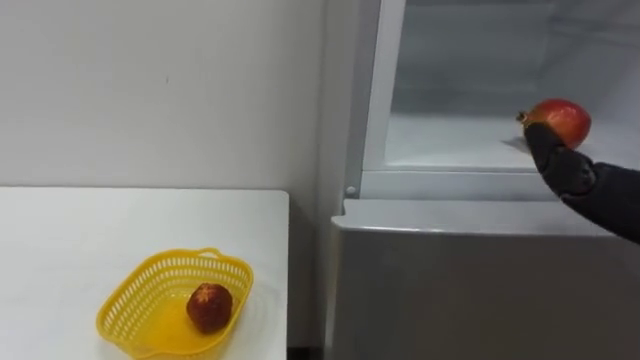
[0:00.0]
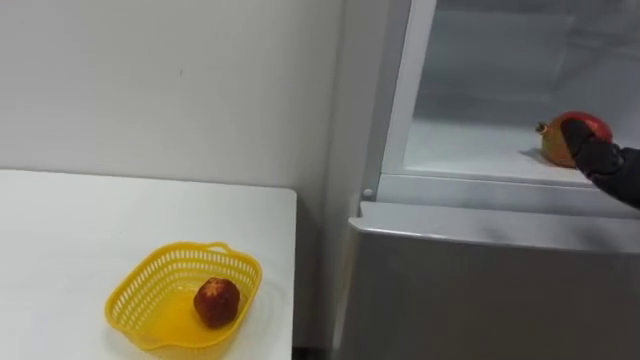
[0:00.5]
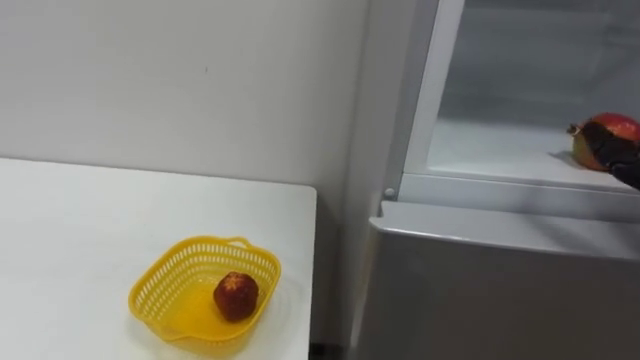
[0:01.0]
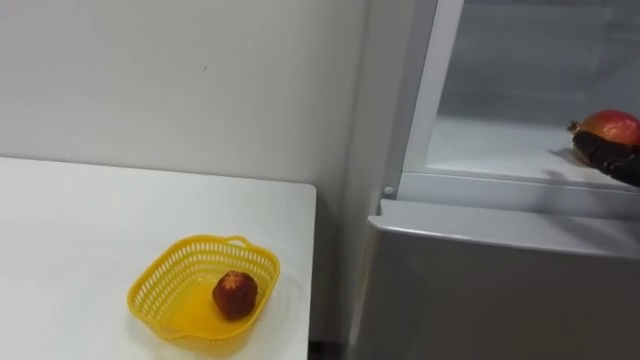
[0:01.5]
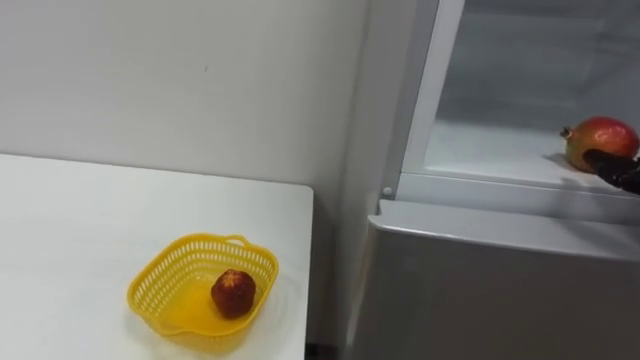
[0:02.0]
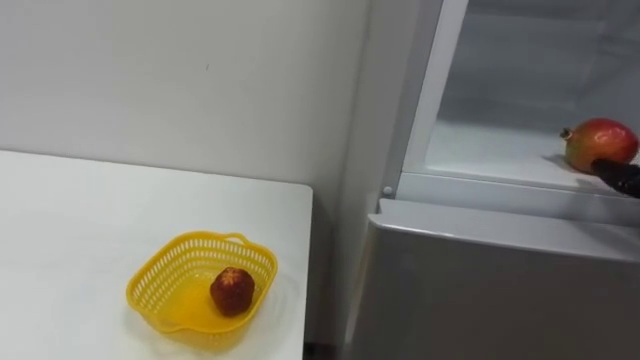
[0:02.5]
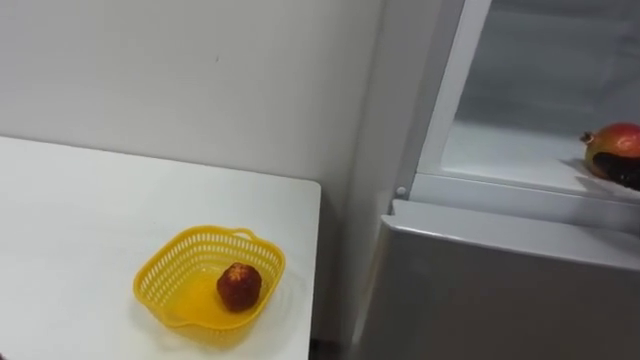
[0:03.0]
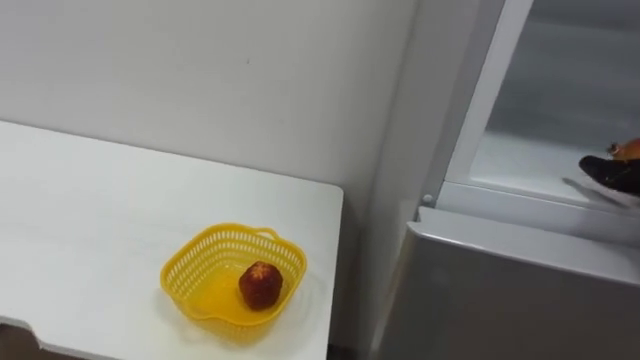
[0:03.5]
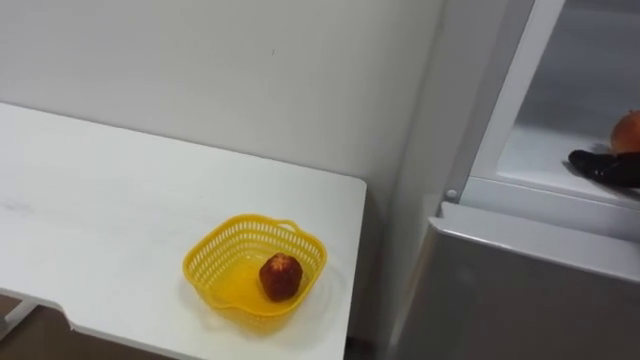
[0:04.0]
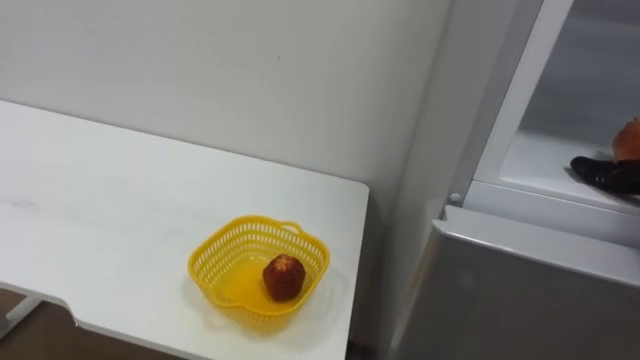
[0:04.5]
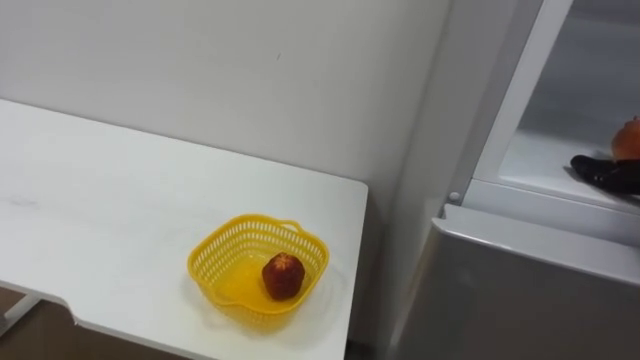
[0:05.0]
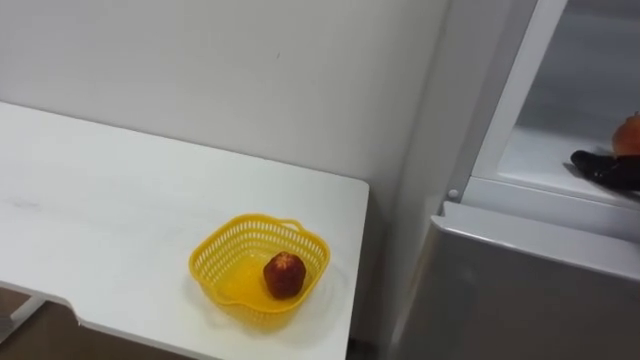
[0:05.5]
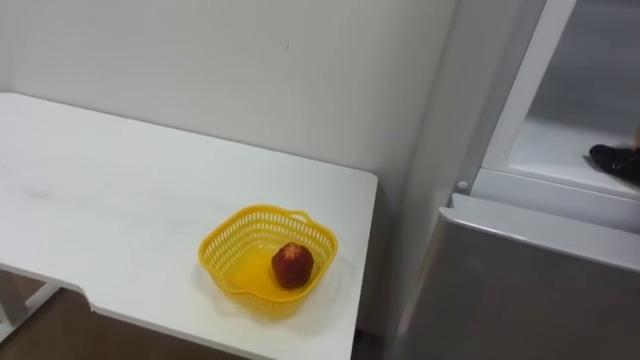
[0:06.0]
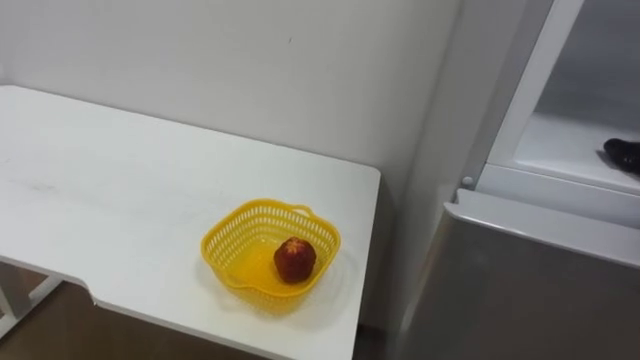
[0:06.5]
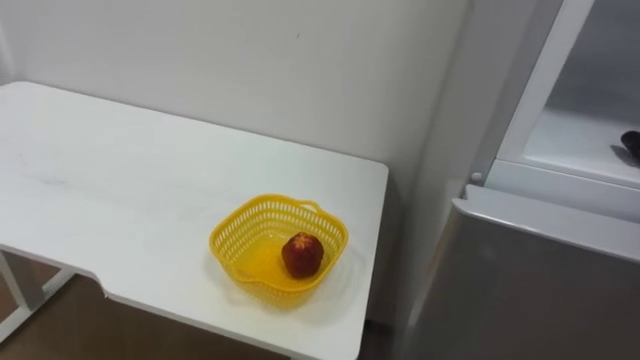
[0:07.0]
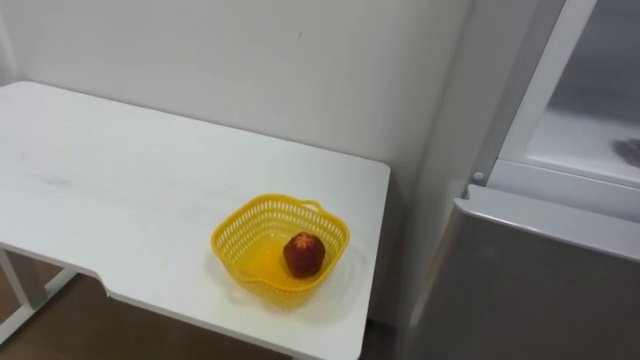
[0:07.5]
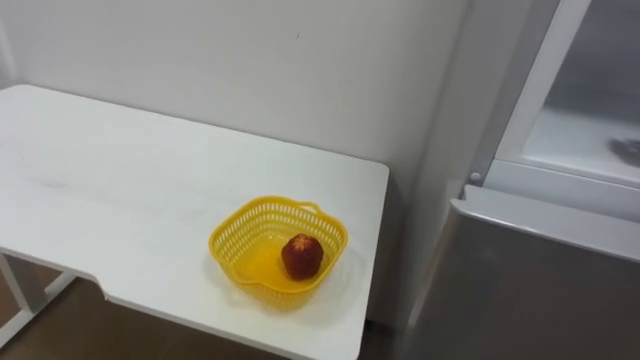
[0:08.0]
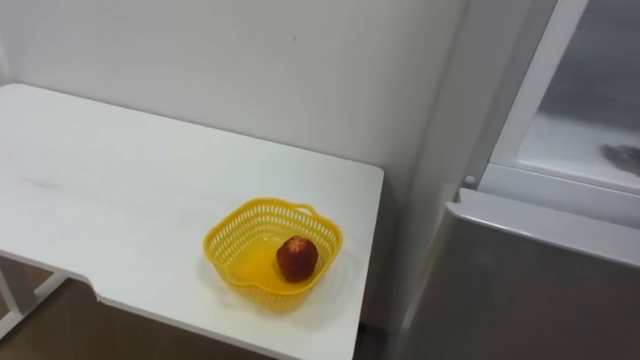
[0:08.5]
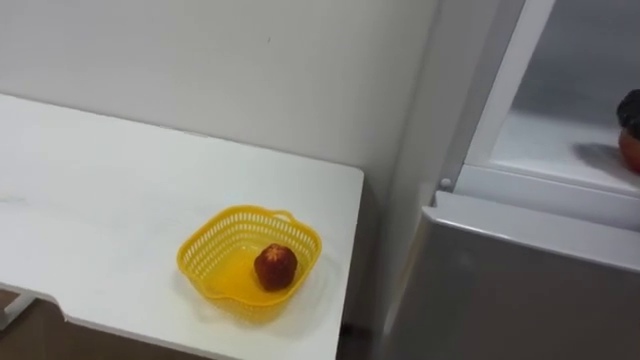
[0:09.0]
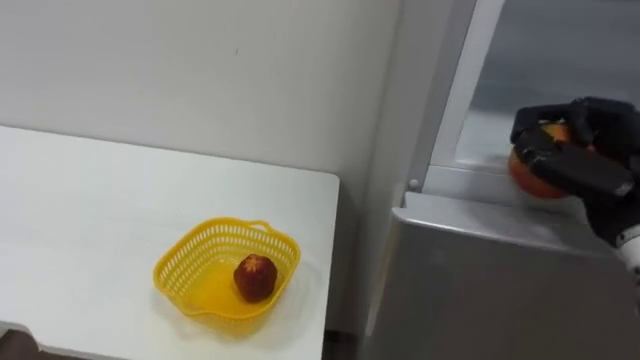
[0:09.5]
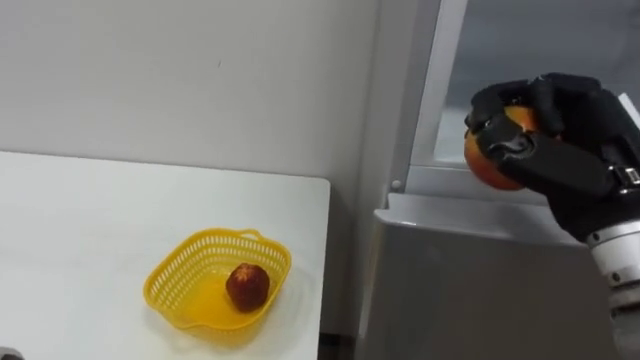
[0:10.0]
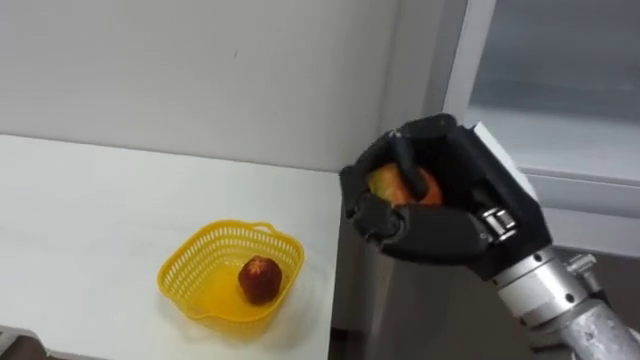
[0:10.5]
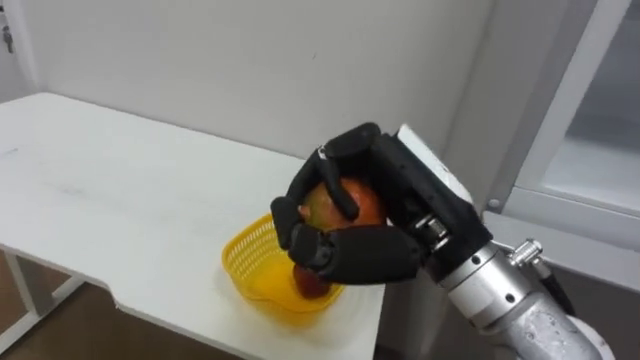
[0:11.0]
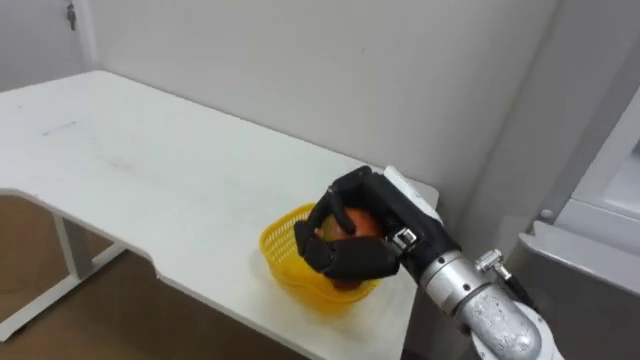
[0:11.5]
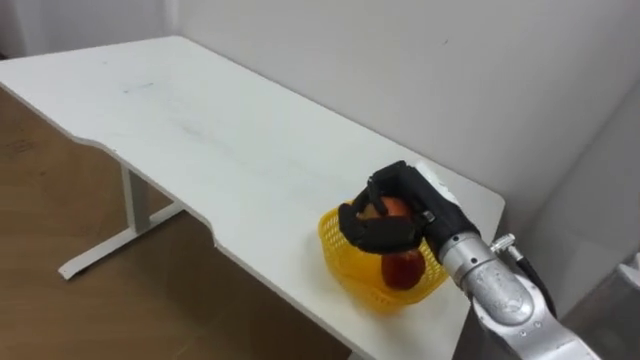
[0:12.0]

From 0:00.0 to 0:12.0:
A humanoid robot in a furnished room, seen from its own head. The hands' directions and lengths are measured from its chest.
Task of the whole recording: Open the refrigerator door, take out the apple and the pomegranate, place them in the fruit basket on the left, and close the refrigerator door.
From 0:10.0 to 0:12.0: The right hand goes approximately 15 cm to the left, downward and forward.

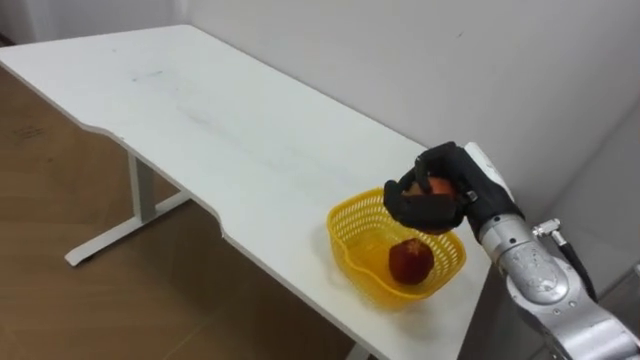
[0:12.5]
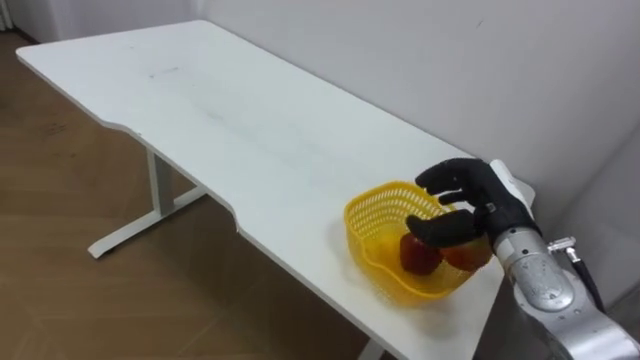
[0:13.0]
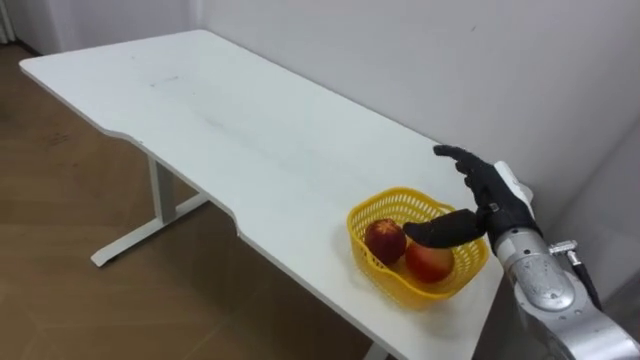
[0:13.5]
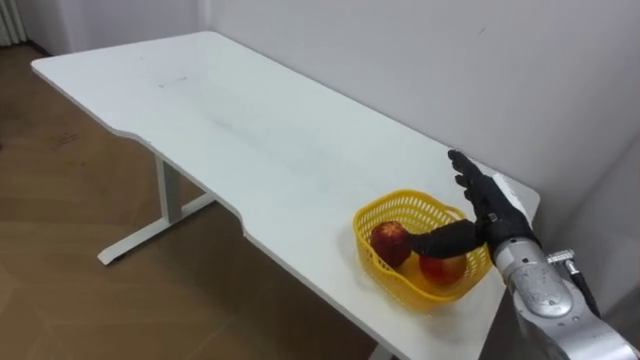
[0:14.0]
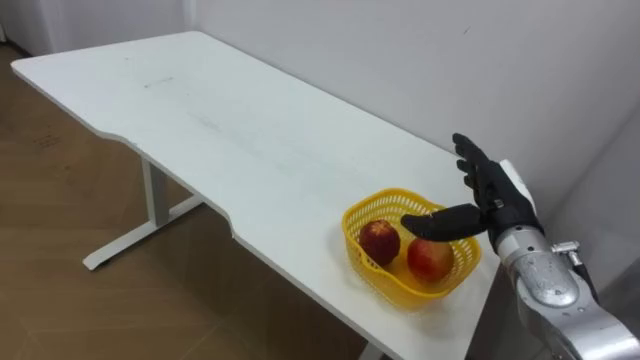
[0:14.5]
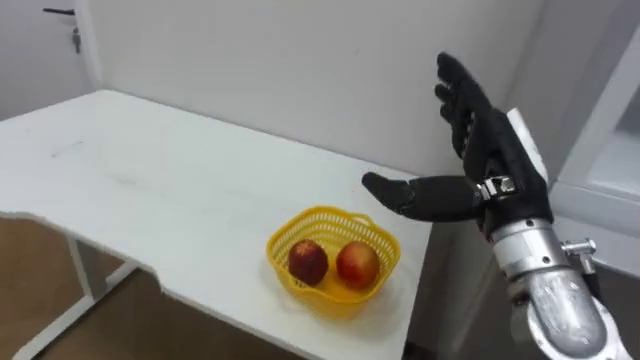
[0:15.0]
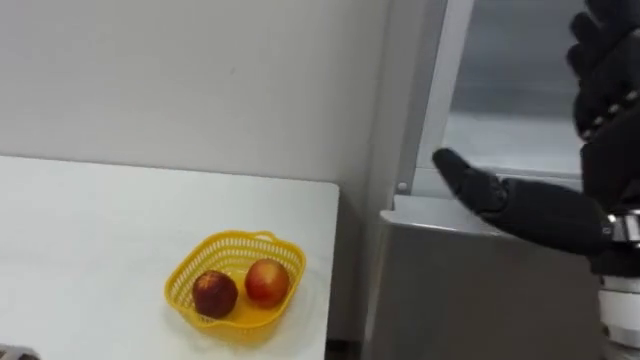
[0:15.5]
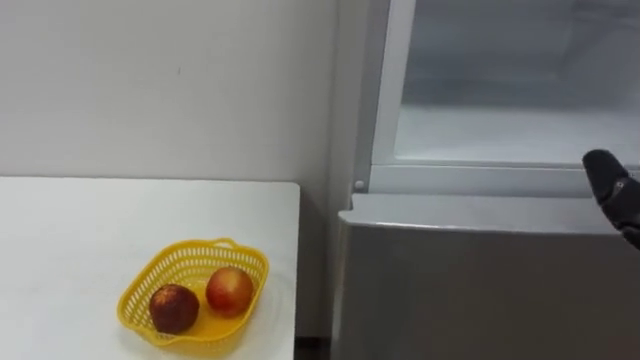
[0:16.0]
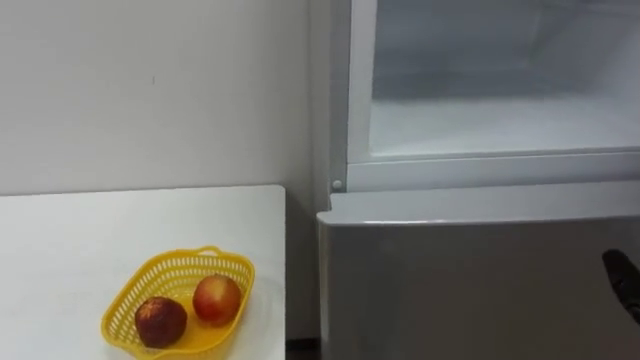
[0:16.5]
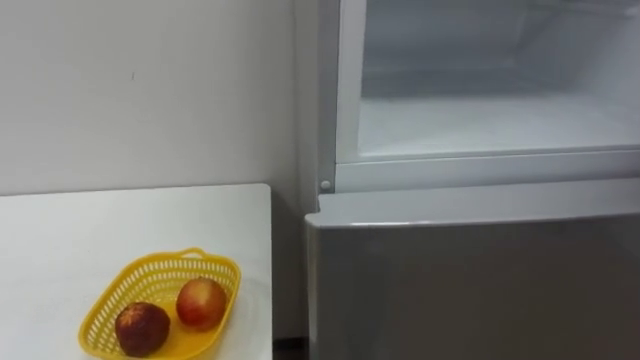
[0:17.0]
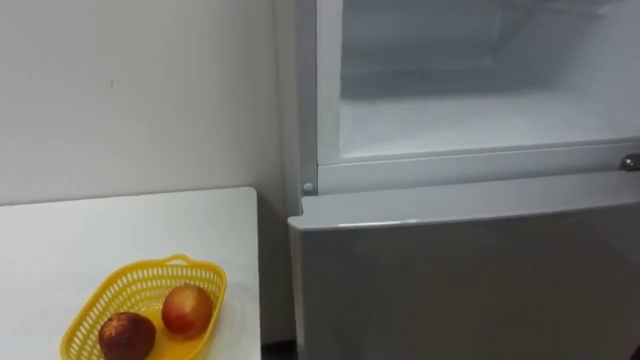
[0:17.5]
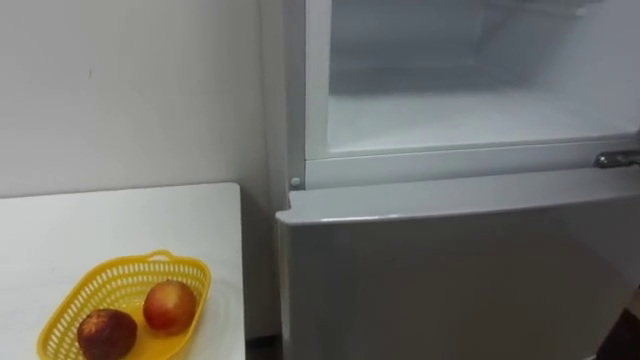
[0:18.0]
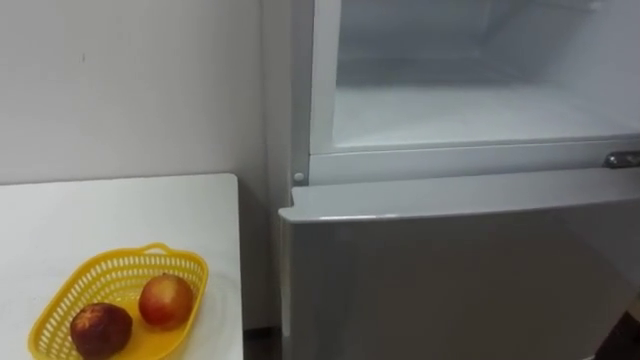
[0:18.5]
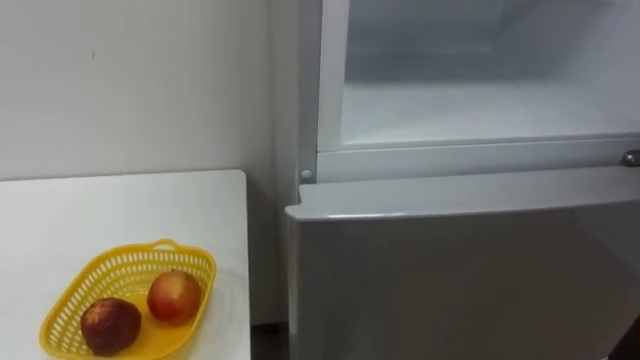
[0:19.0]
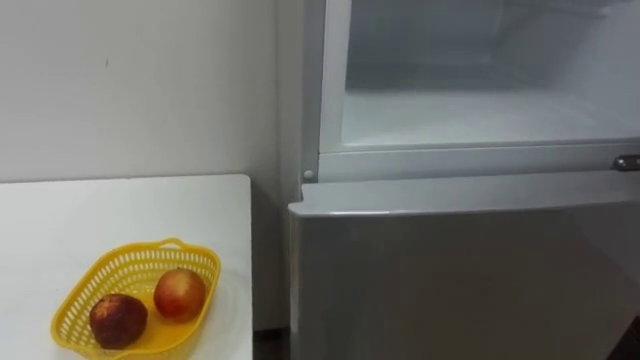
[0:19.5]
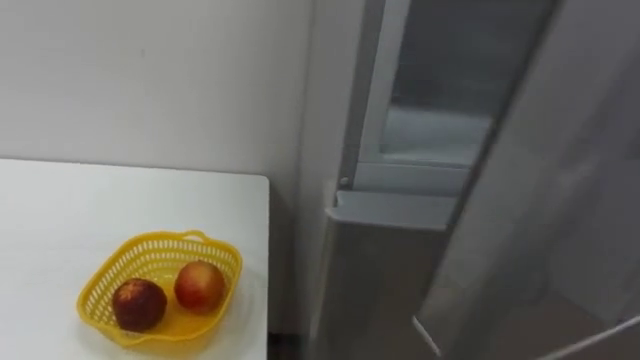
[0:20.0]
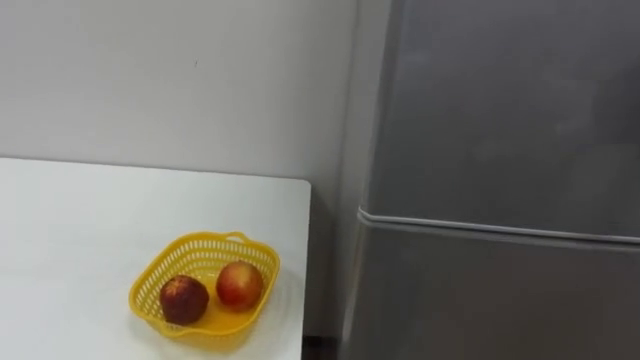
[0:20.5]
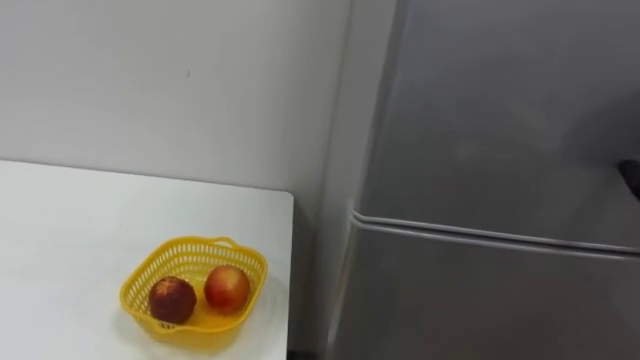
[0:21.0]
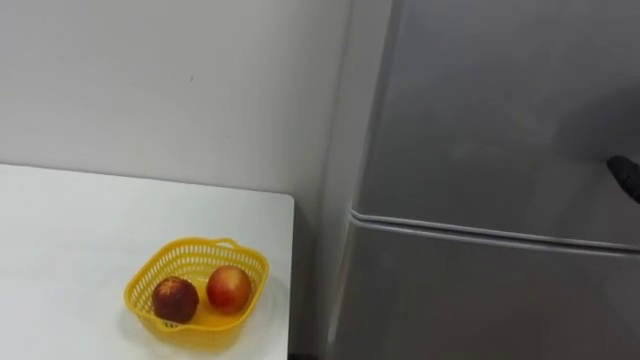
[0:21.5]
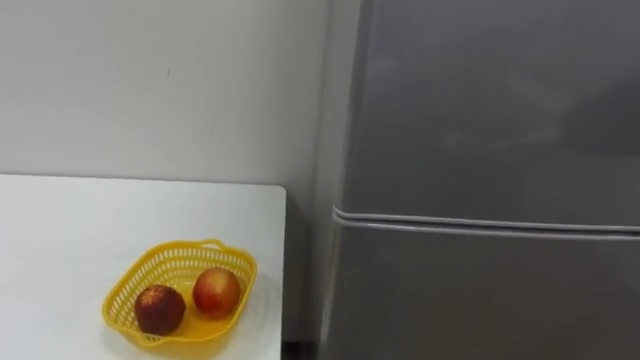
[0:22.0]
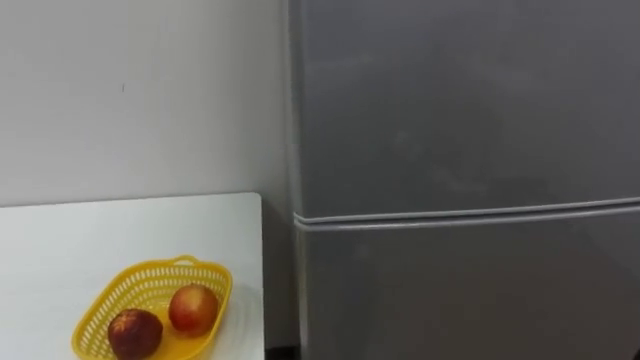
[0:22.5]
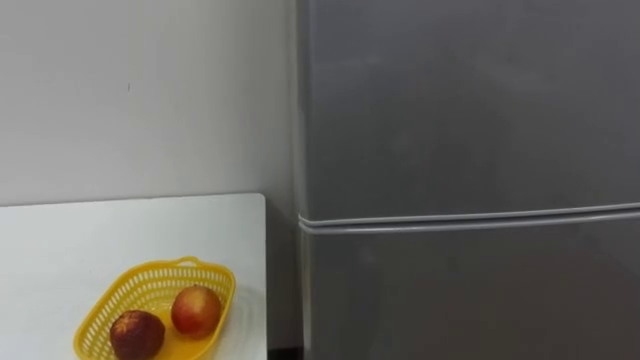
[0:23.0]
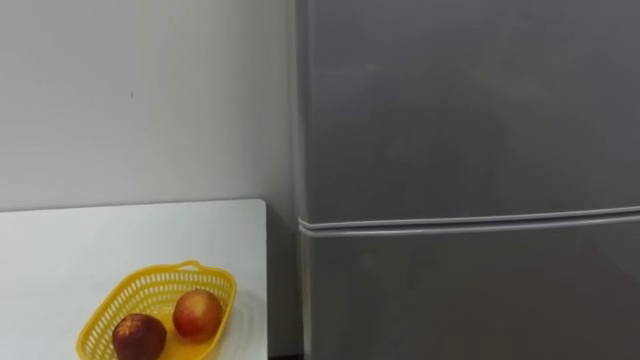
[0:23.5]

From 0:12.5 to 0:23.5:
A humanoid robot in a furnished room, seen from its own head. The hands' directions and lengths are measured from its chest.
Task of the whole recording: Open the refrigerator door, take out the apple and the pomegranate, place them in the fruit basket on the left, and close the refrigerator door.
From 0:12.5 to 0:14.5: The right hand opens its fingers.
